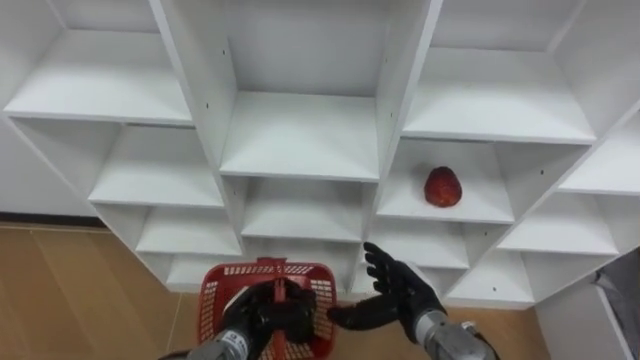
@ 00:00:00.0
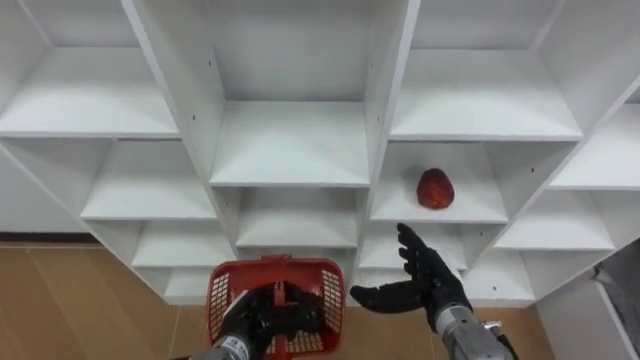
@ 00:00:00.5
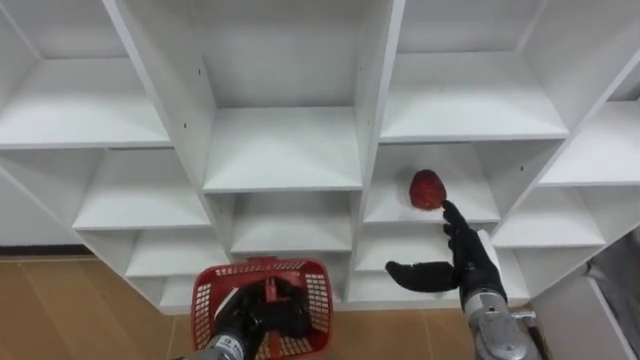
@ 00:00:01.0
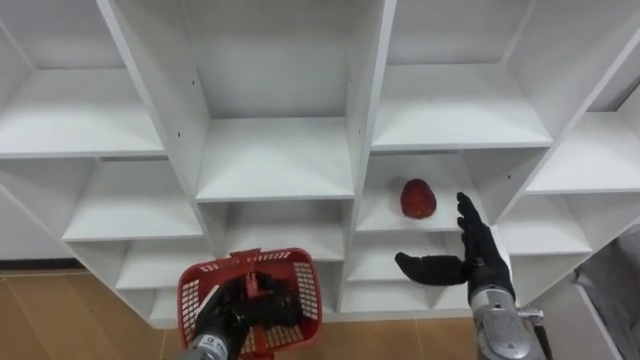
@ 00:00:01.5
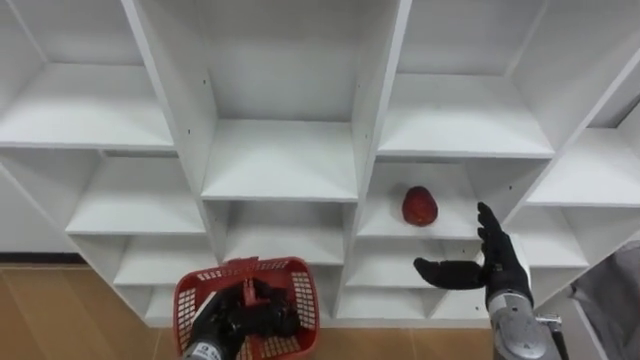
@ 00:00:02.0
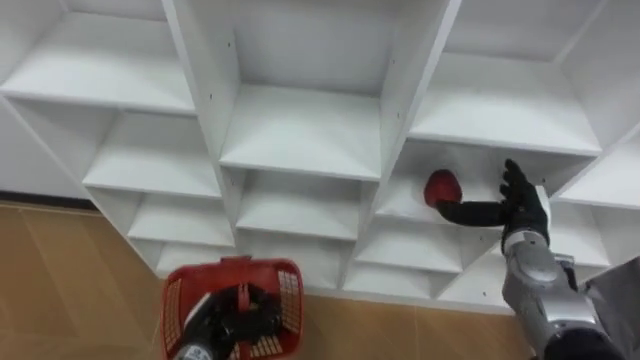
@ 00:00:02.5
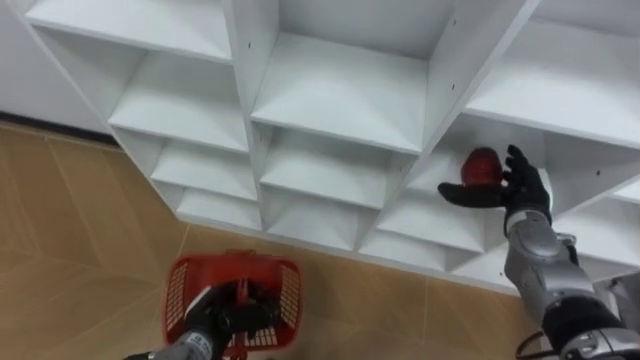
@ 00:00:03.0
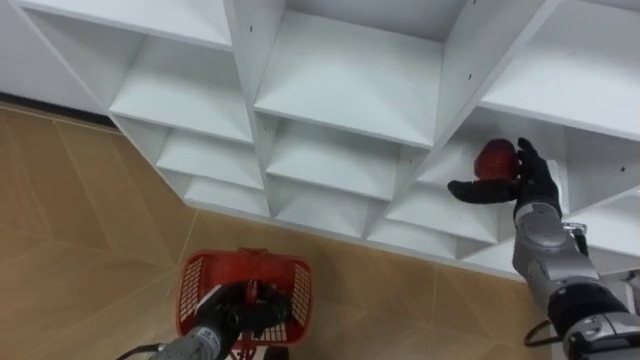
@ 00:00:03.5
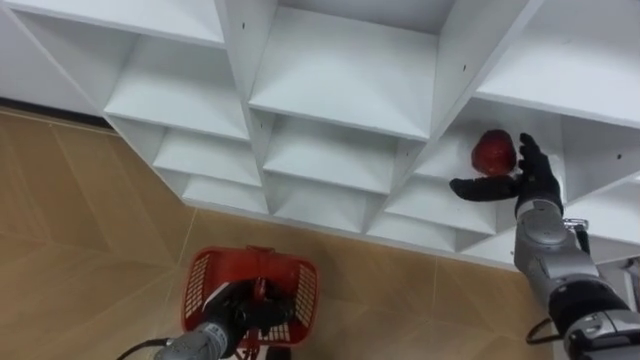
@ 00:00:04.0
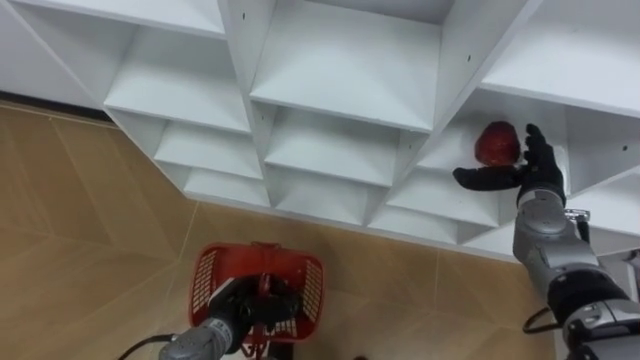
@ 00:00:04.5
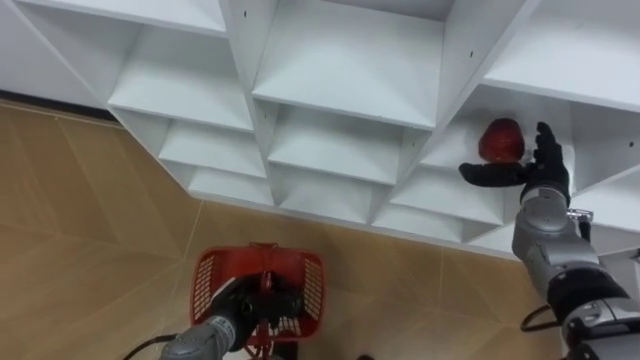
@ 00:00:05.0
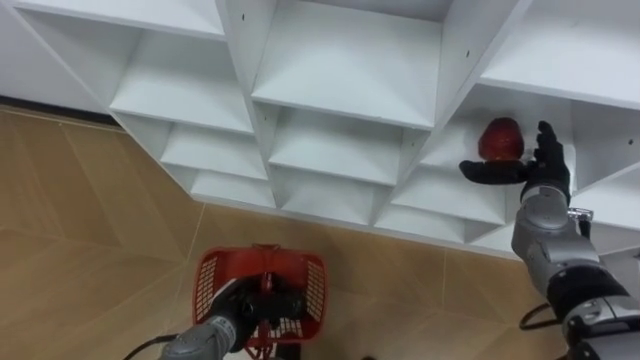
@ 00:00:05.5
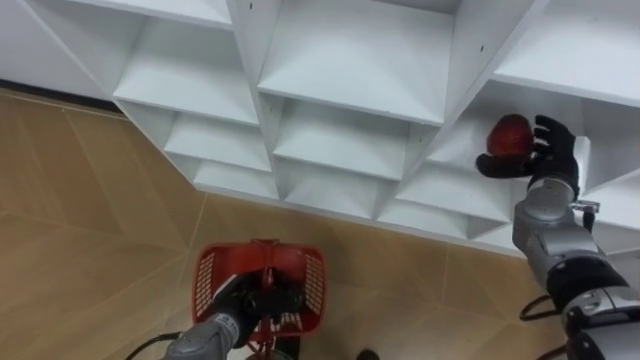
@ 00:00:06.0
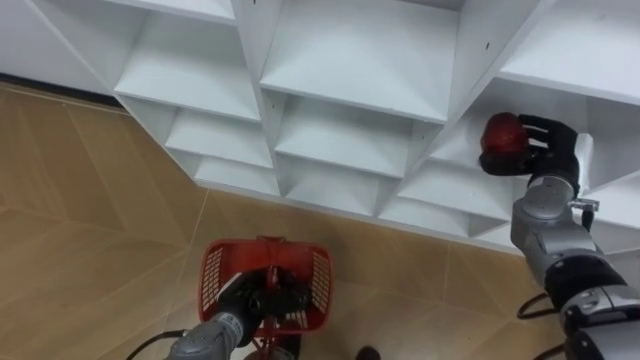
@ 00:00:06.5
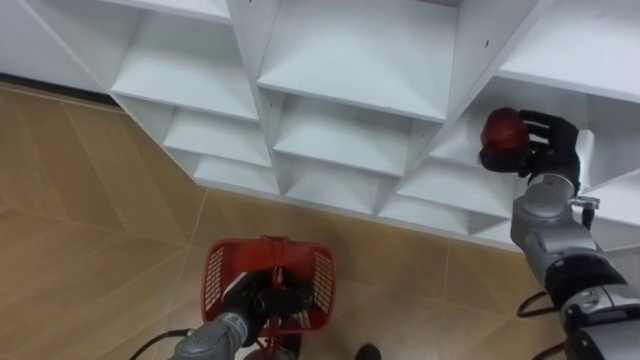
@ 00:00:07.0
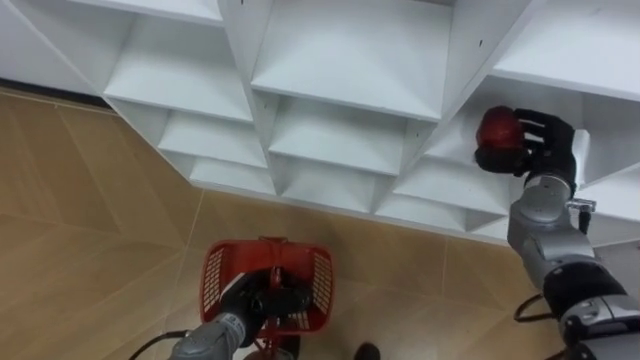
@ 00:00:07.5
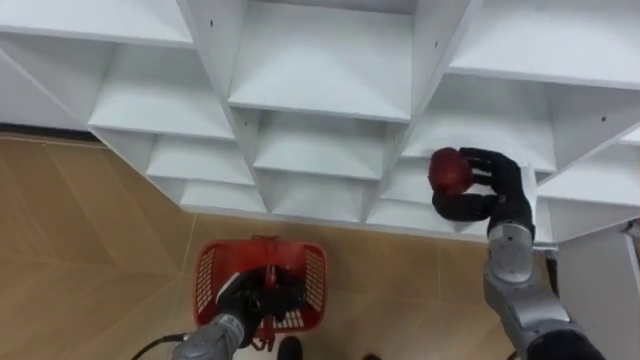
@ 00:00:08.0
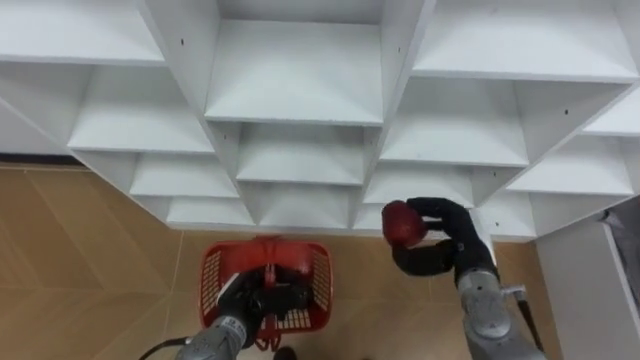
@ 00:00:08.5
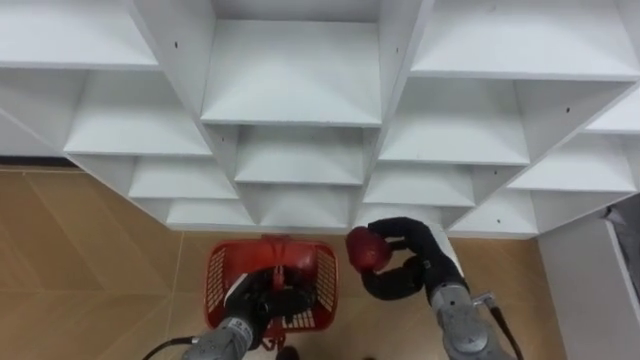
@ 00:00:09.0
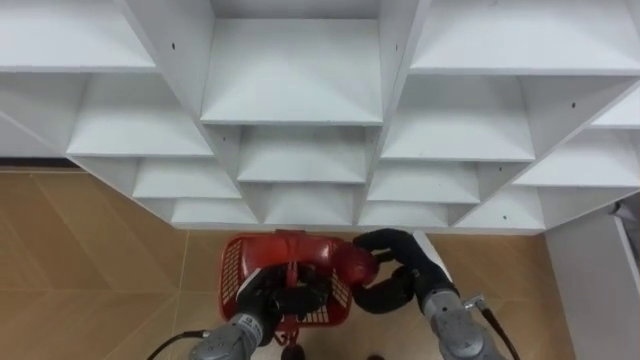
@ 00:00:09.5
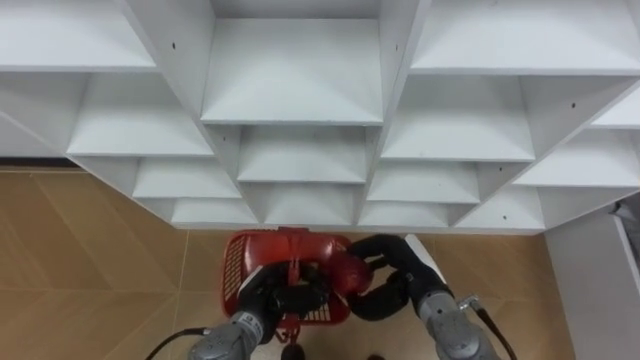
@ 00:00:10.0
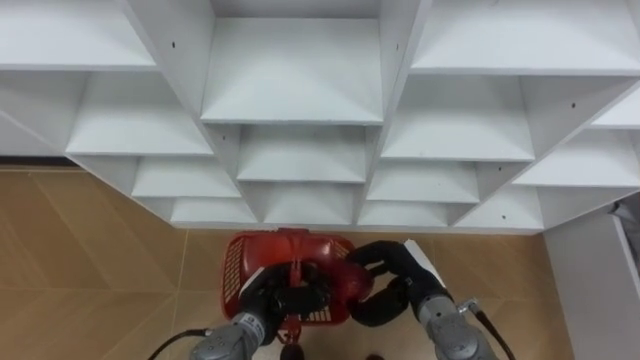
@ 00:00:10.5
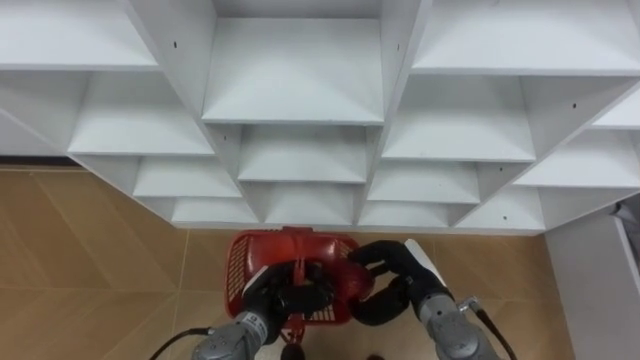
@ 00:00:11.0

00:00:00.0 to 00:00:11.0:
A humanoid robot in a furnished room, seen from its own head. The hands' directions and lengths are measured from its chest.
Task of the whole recording: Hold the basket and collect the fruits from 3 different cells of the closet into it.
00:00:00.0 to 00:00:02.0: The right hand travels to the right by approximately 10 cm.
00:00:02.0 to 00:00:03.5: The right hand moves forward, approximately 10 cm.
00:00:05.5 to 00:00:07.5: The right hand closes its fingers.
00:00:07.5 to 00:00:09.0: The right hand heads to the left, backward and downward, covering some 20 cm.
00:00:09.0 to 00:00:11.0: There are only small adjustments of the hands.

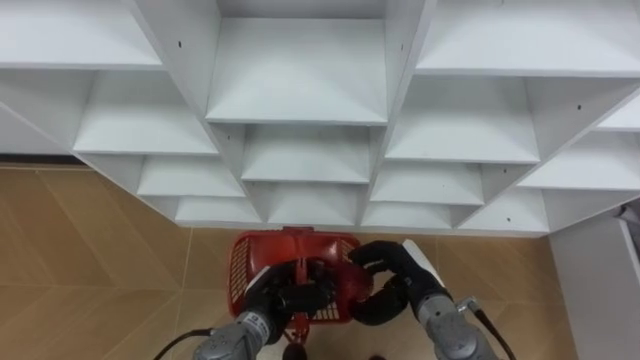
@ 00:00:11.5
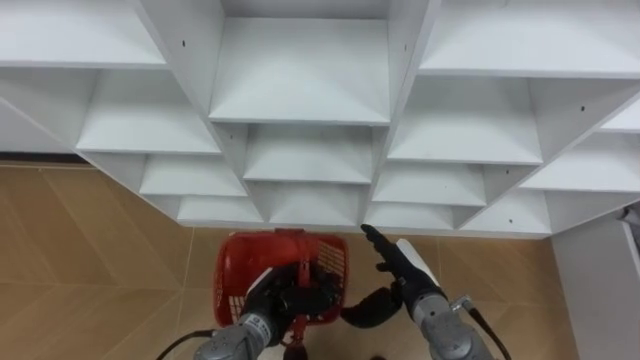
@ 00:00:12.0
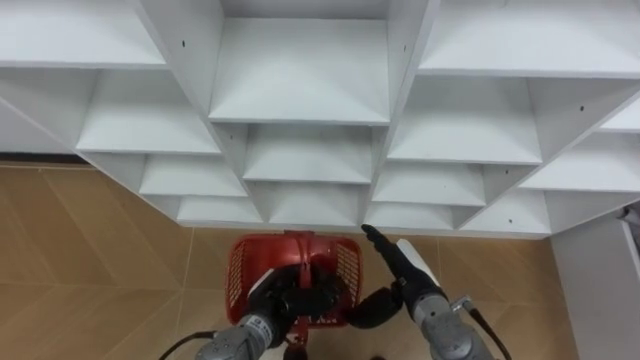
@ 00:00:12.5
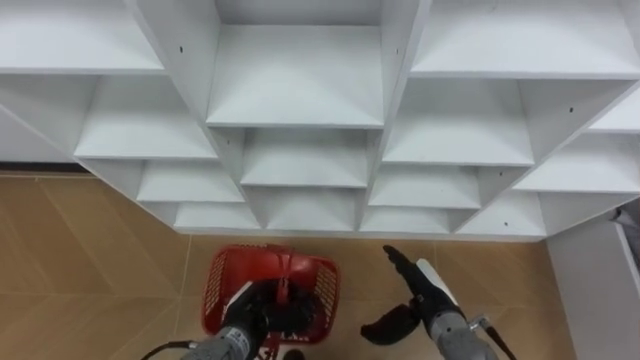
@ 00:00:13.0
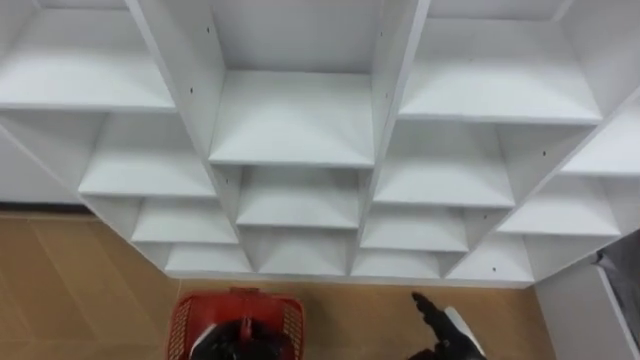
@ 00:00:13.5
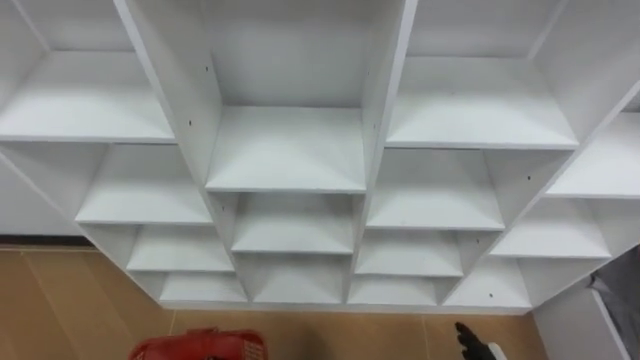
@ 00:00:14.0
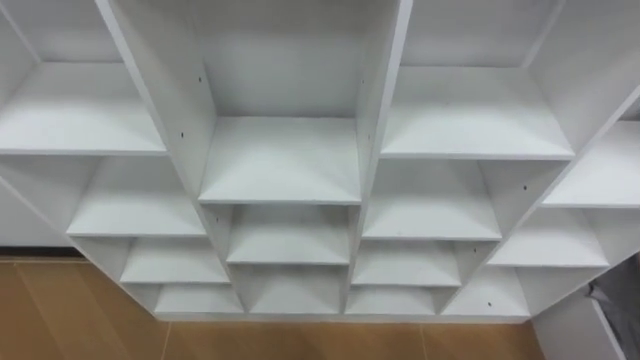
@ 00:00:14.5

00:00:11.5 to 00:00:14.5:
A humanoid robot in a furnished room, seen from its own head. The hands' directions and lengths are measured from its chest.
Task of the whole recording: Hold the basket and collect the fruits from 3 different cells of the closet into it.
00:00:11.5 to 00:00:13.0: The right hand opens up.

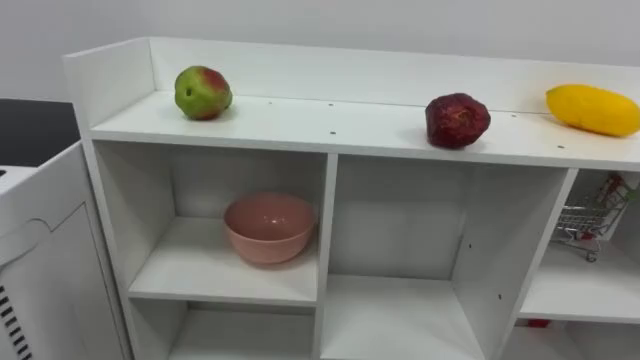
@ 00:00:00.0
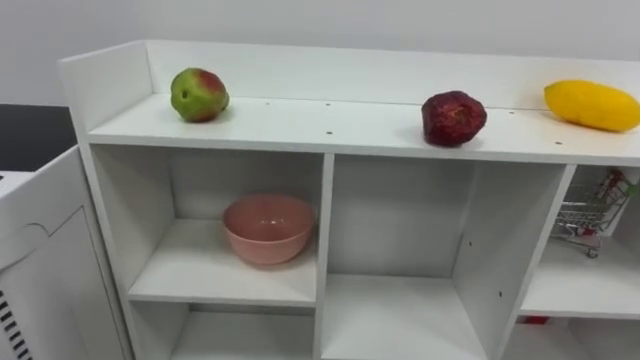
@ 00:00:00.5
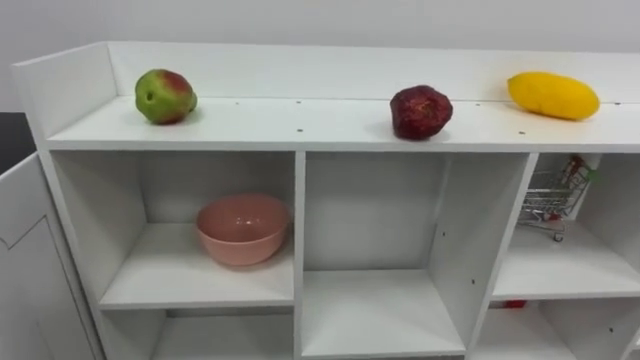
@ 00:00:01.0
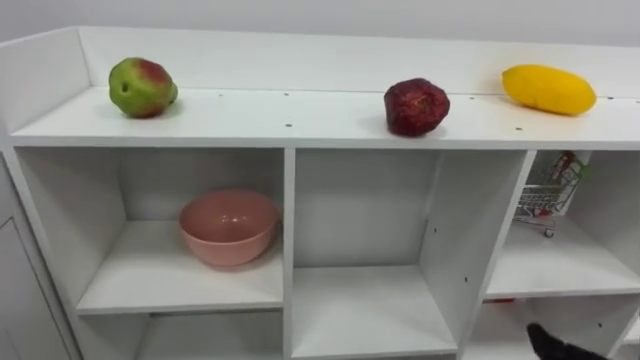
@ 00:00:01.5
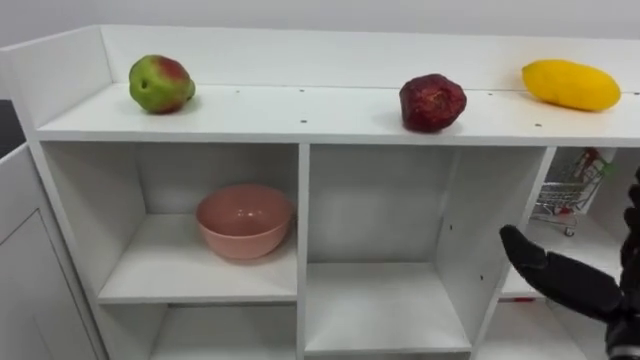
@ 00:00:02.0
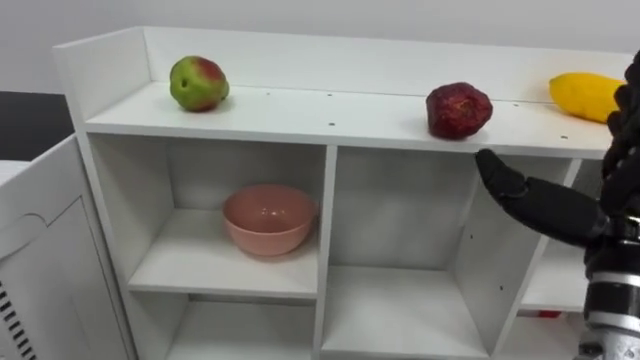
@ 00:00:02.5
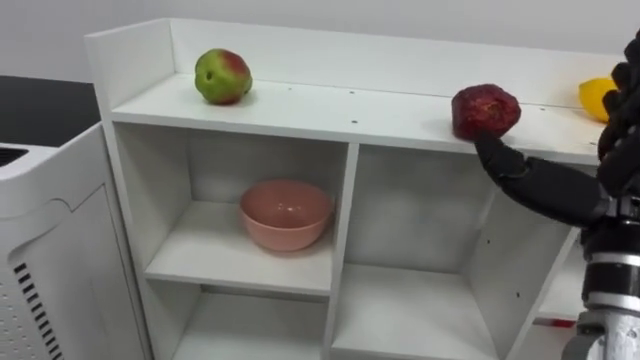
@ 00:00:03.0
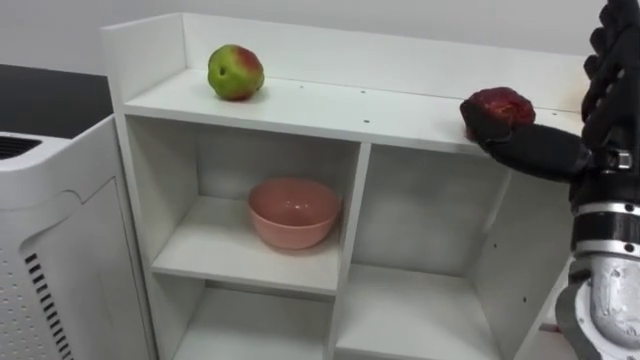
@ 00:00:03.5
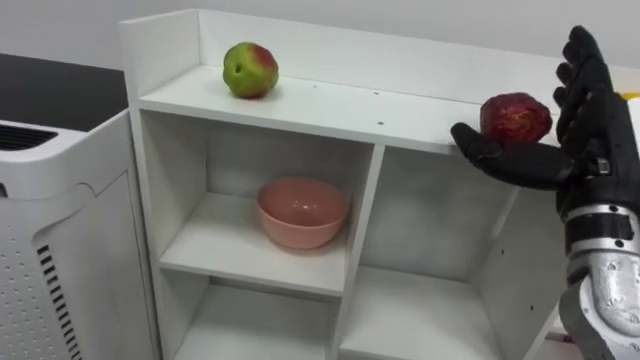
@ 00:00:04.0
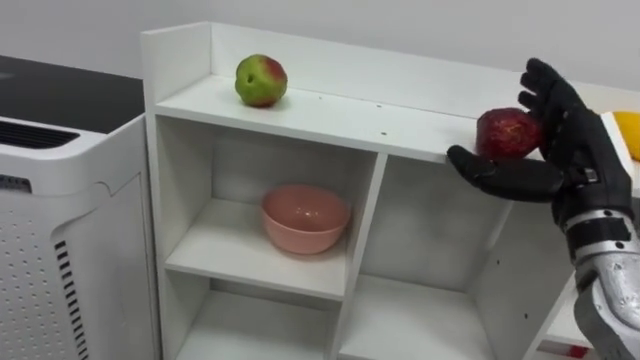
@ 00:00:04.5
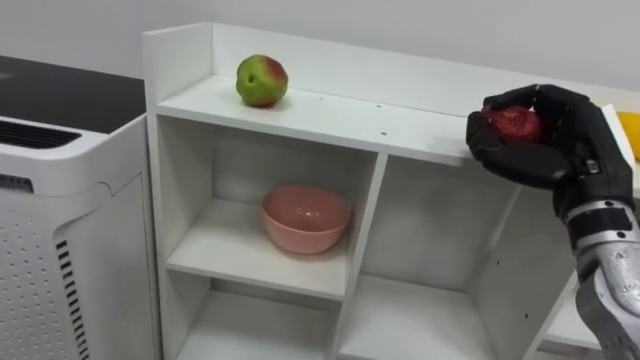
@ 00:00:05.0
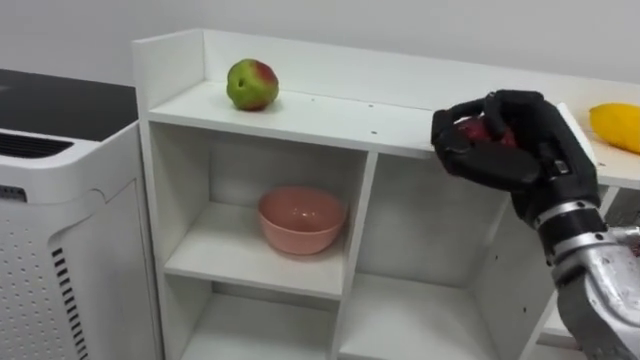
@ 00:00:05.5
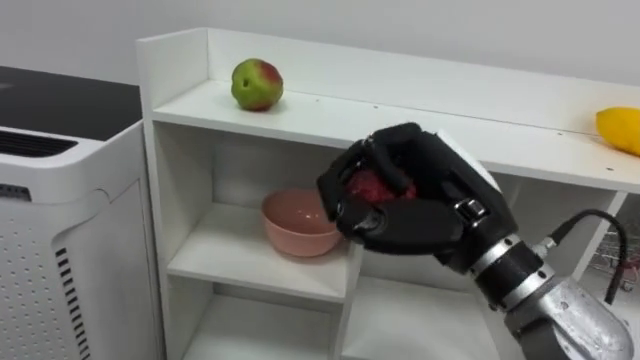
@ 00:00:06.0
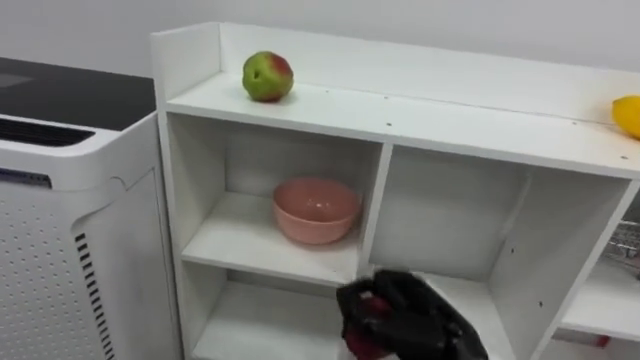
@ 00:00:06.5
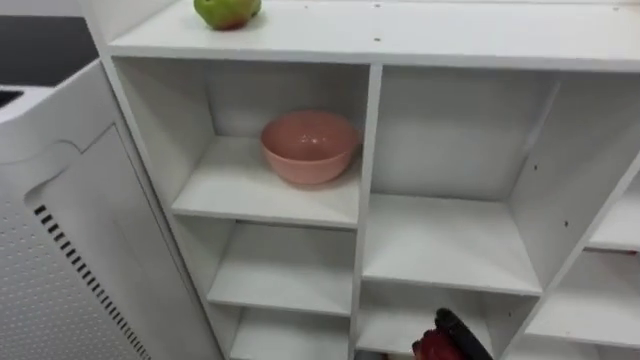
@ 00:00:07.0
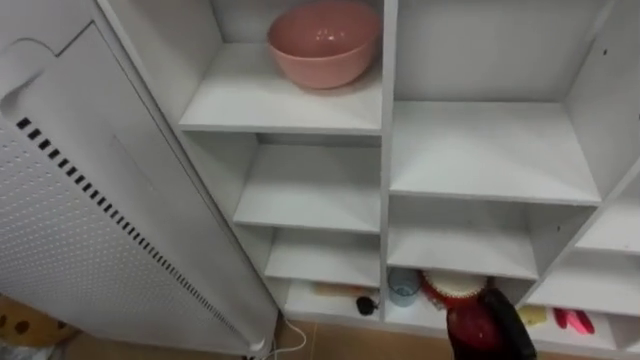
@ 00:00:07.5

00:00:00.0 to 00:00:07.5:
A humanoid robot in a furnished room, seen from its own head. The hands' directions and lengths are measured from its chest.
Task of the whole recording: Put the apple in the cell in the second column from the left and the second row from the top.
00:00:02.0 to 00:00:04.0: The right hand shifts approximately 10 cm upward and forward.
00:00:04.0 to 00:00:05.5: The right hand closes up.
